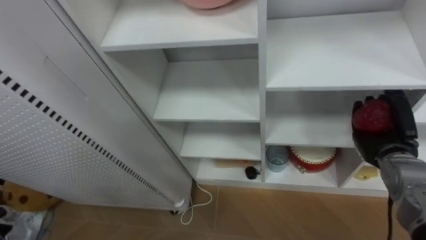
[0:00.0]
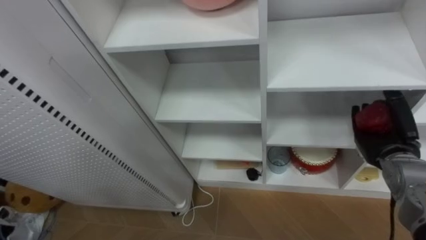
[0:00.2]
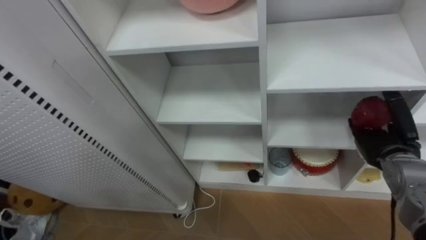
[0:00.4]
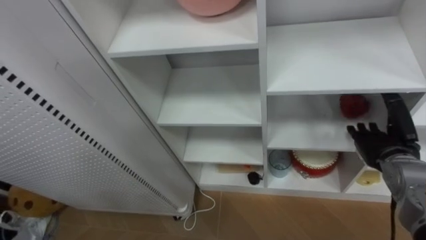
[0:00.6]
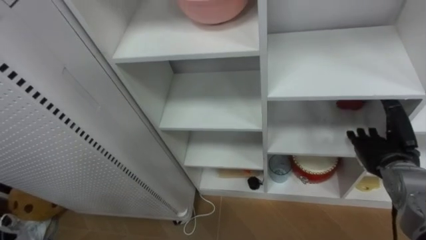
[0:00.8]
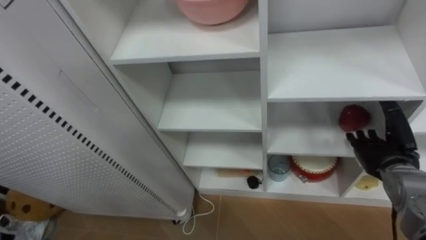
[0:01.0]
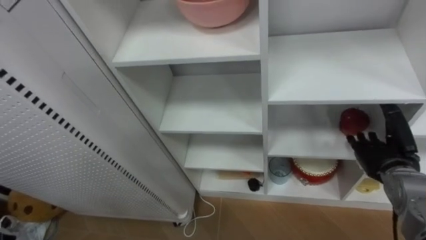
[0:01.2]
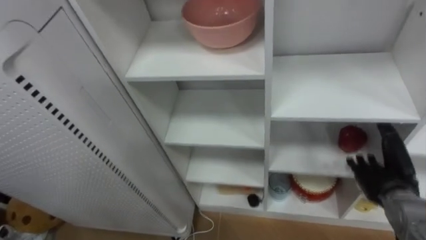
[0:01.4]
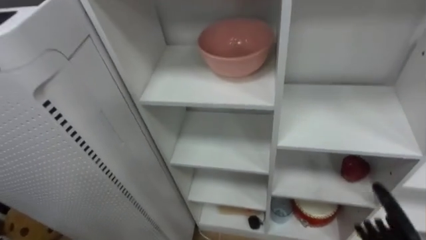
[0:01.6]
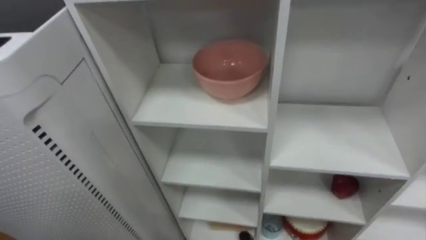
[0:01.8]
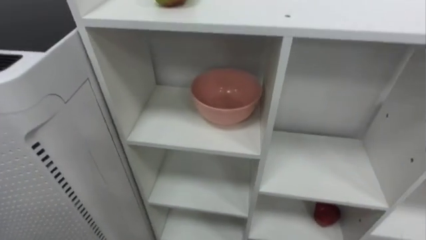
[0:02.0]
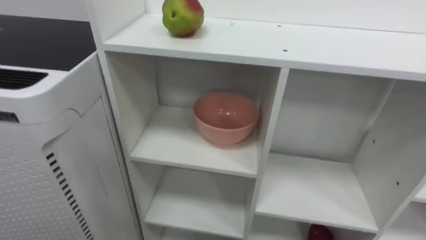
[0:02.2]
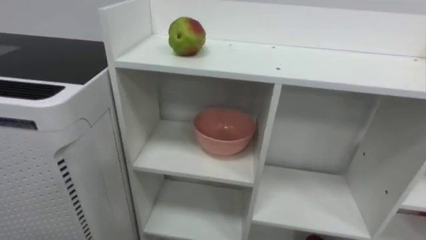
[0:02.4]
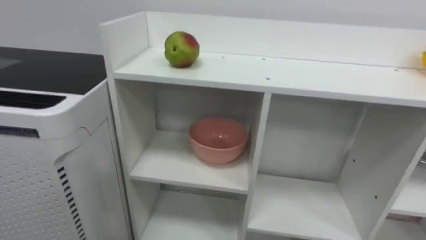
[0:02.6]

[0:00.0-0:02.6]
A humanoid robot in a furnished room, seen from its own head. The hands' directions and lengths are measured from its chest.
Task of the whole recording: Put the apple in the cell in the second column from the left and the second row from the top.
0:00.0 to 0:01.2: The right hand opens.

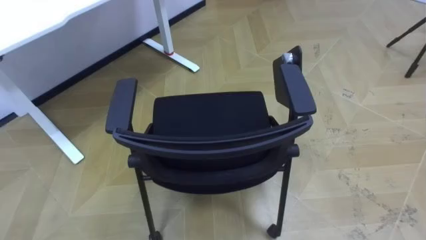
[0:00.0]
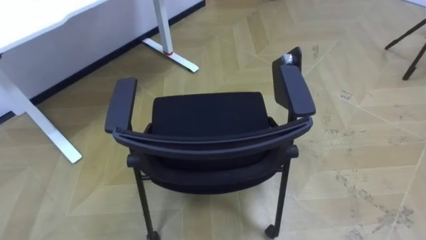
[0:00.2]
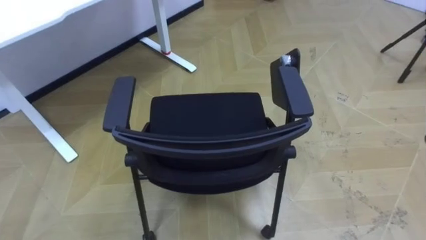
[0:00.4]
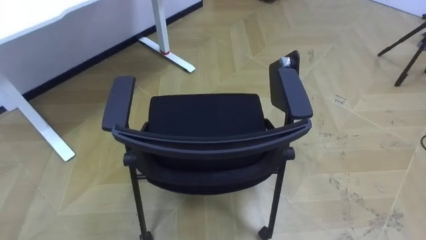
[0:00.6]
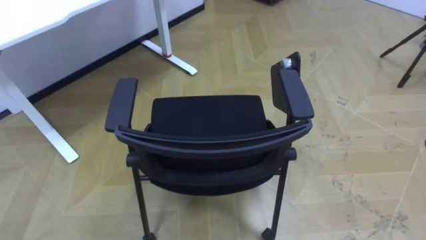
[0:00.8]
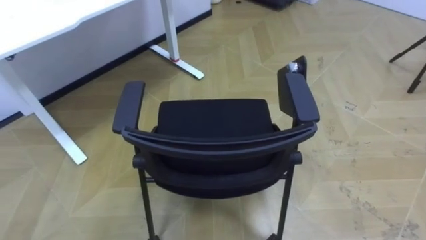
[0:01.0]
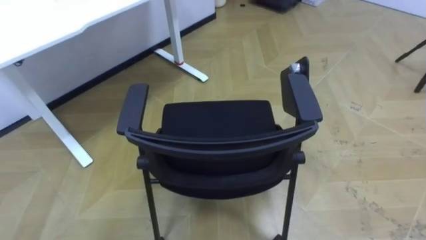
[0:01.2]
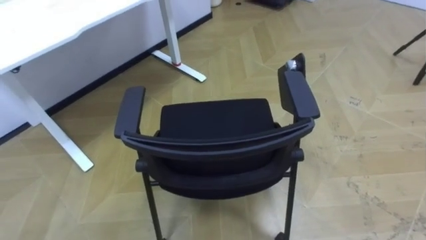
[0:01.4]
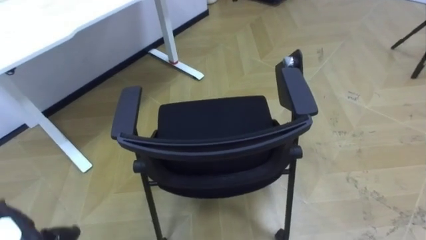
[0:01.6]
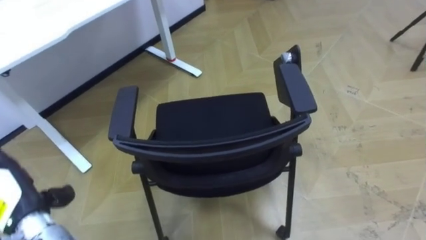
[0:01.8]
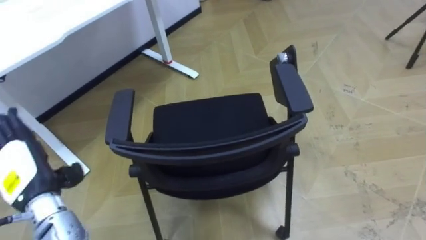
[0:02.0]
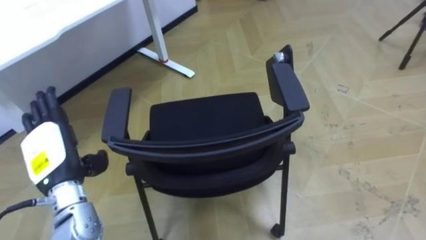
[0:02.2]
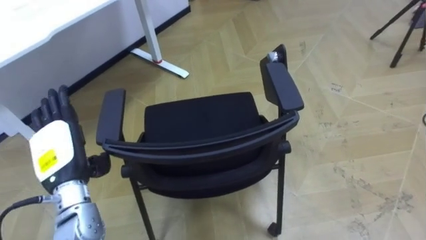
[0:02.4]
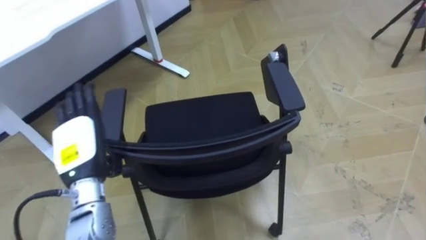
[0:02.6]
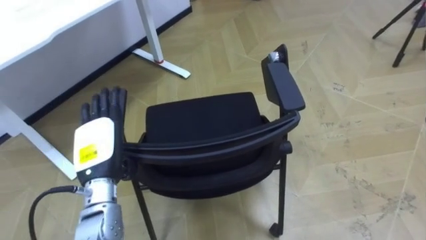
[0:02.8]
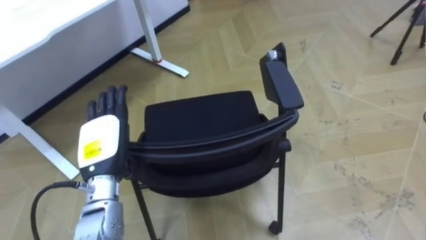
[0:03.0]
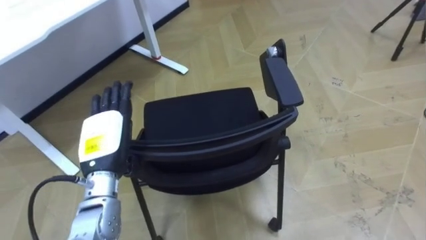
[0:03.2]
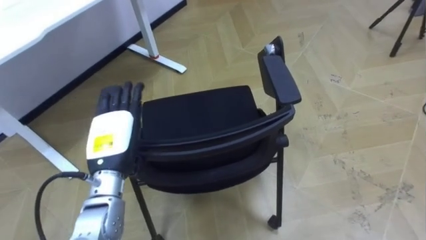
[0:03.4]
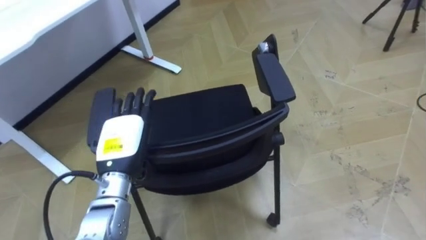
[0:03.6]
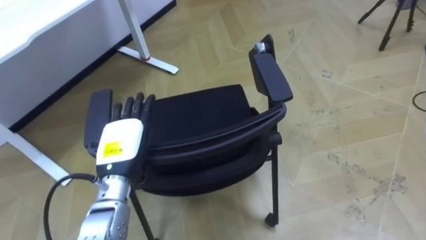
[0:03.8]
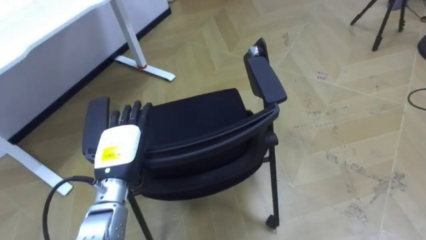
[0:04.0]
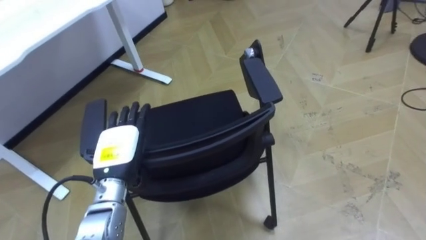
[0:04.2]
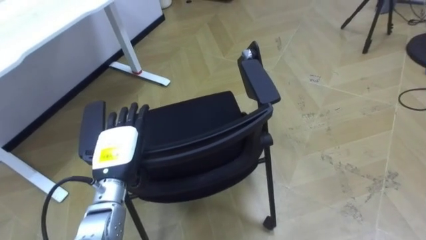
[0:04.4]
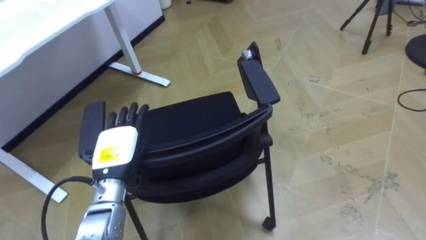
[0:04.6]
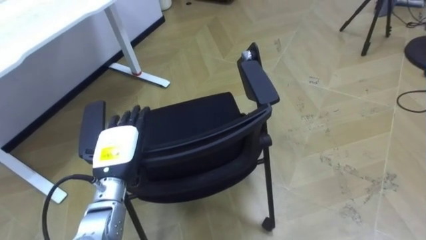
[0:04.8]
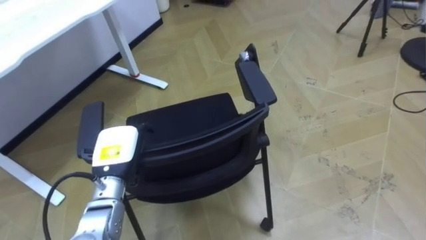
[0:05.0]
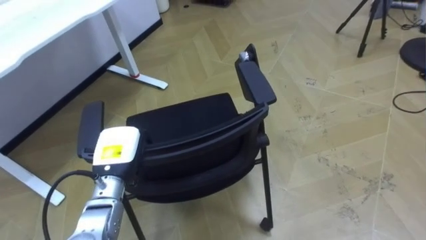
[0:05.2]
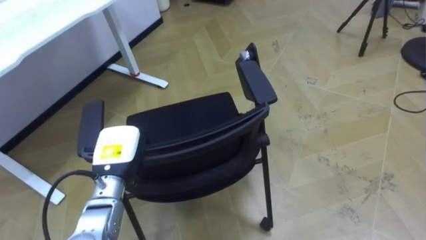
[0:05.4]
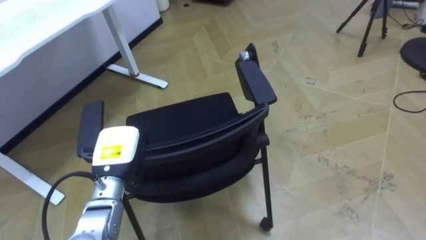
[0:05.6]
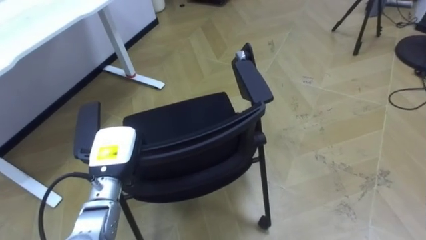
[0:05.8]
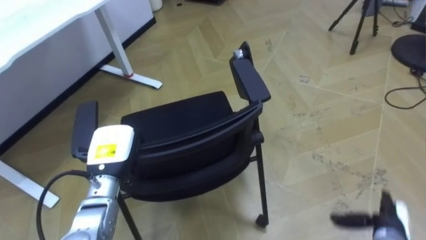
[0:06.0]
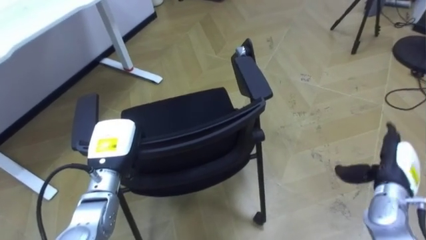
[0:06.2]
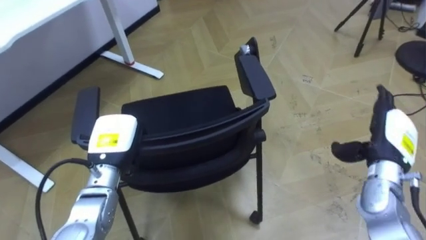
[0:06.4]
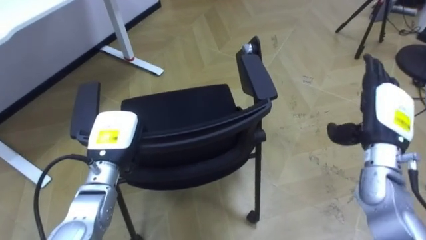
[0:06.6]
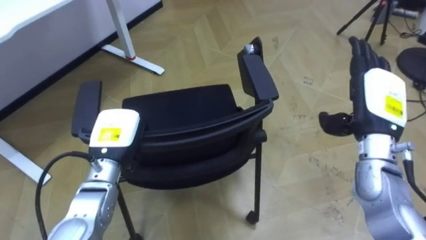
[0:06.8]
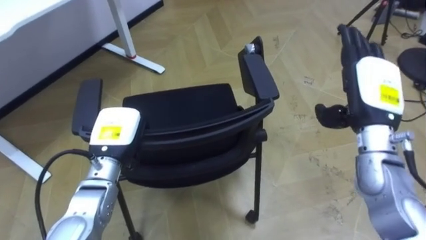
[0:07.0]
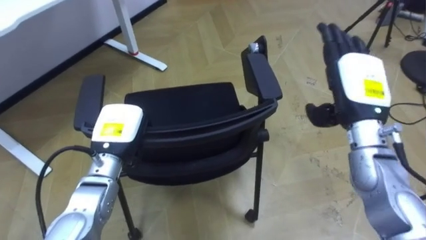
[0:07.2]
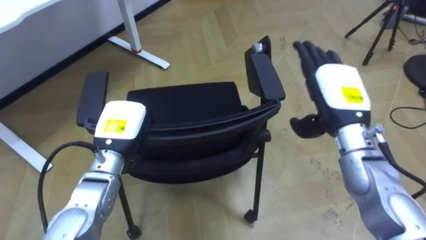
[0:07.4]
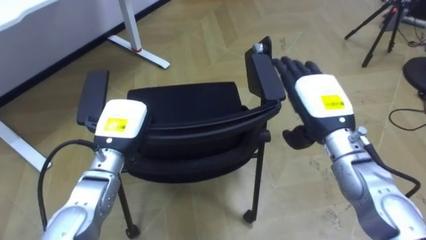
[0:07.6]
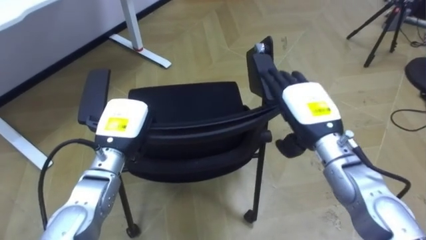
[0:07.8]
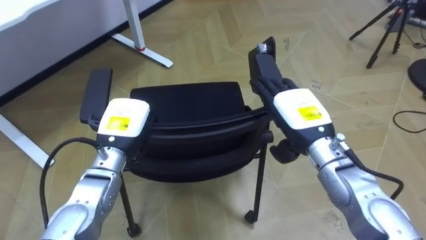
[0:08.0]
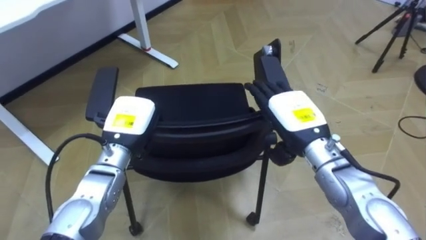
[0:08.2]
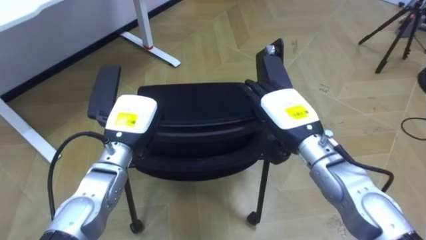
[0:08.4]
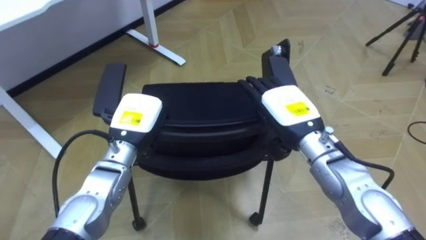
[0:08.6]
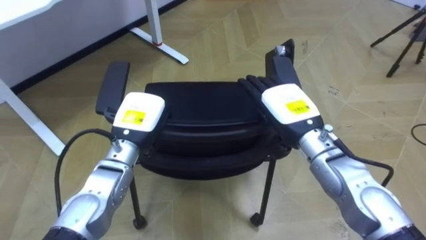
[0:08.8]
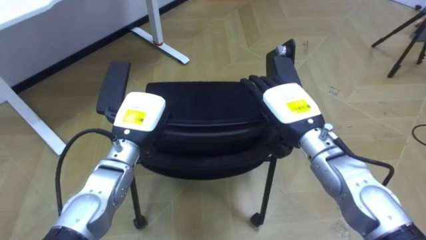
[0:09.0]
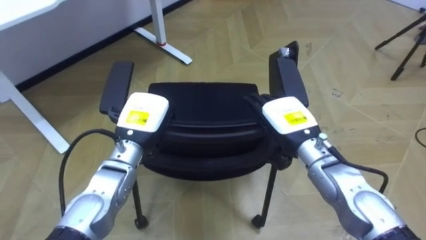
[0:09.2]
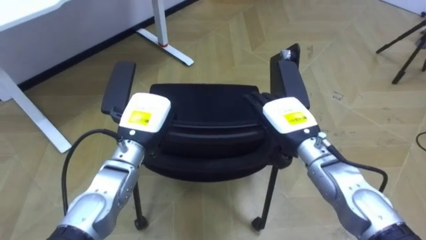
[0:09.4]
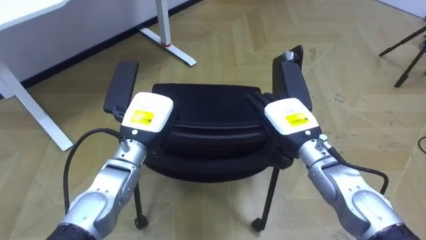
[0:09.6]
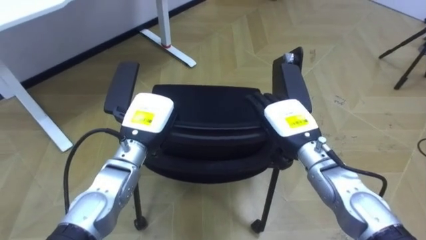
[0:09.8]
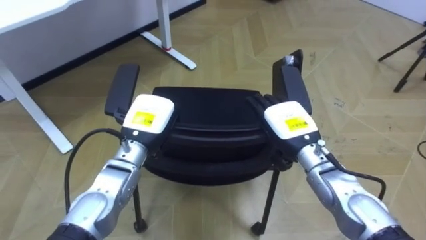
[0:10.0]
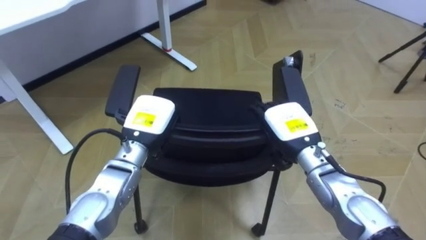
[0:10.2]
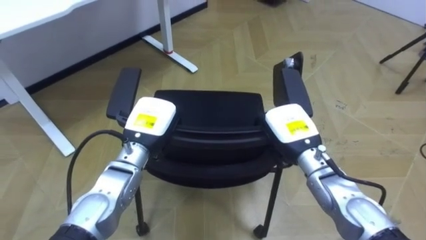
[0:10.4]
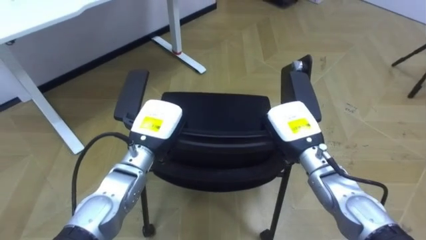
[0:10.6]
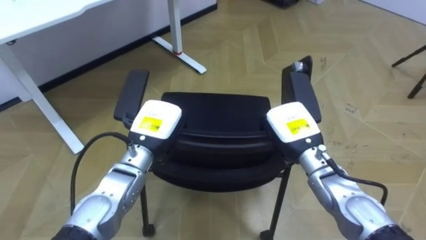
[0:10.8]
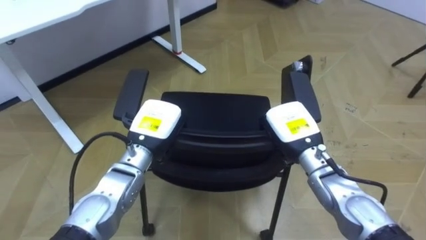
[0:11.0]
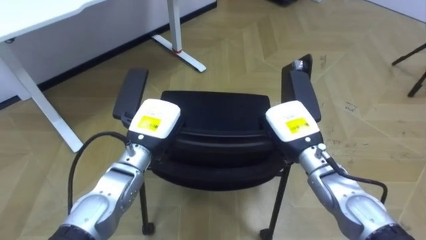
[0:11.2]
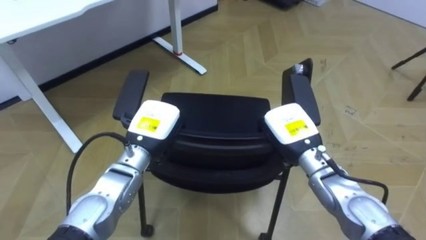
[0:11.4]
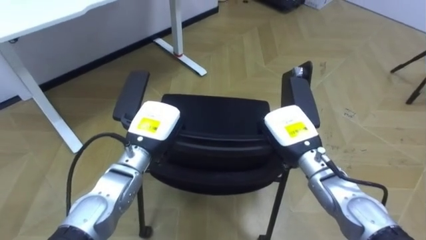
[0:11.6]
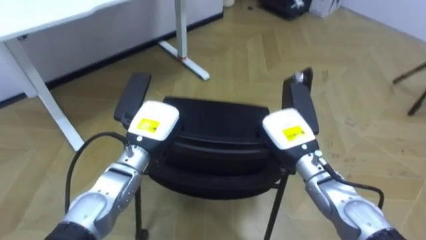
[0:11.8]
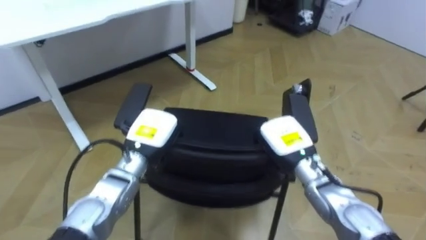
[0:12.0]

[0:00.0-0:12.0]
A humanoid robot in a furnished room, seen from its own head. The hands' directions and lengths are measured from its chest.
Task of the whole recording: Push the chair under the table.
0:04.4 to 0:06.0: The left hand closes.
0:06.0 to 0:07.6: The right hand moves upward, to the left and forward, some 30 cm; the left hand shifts by about 5 cm.
0:07.6 to 0:09.0: The right hand moves about 5 cm.
0:09.0 to 0:10.4: The right hand shifts approximately 5 cm downward, and closes its fingers.

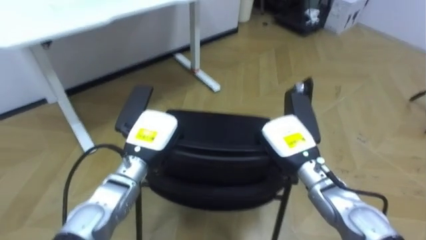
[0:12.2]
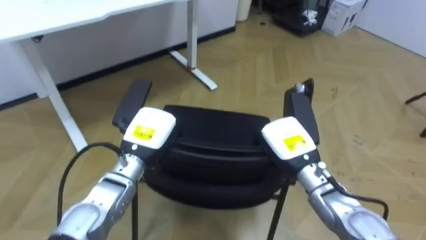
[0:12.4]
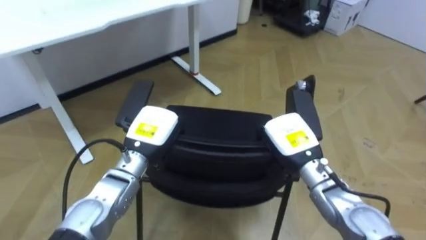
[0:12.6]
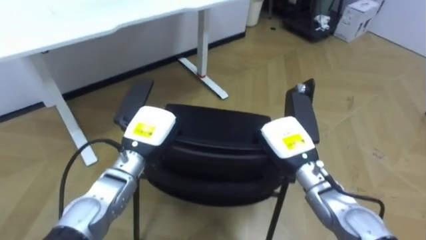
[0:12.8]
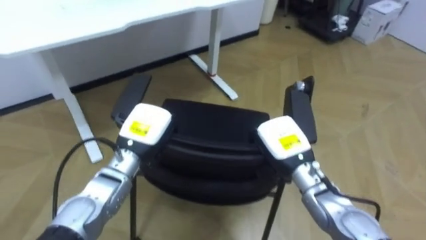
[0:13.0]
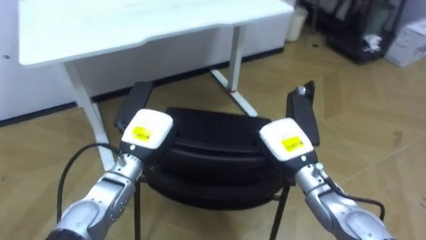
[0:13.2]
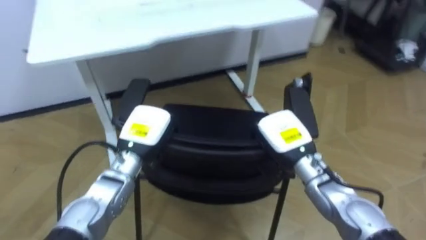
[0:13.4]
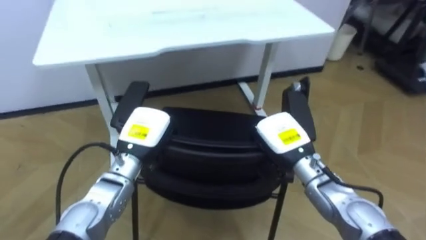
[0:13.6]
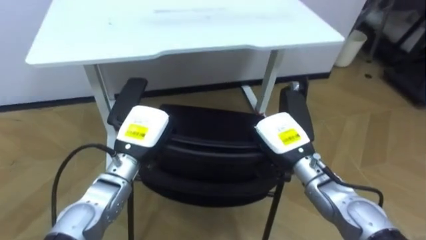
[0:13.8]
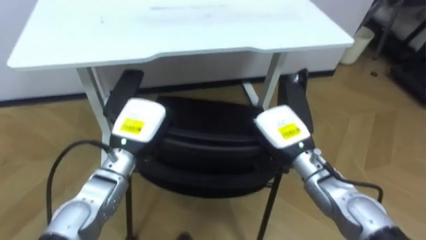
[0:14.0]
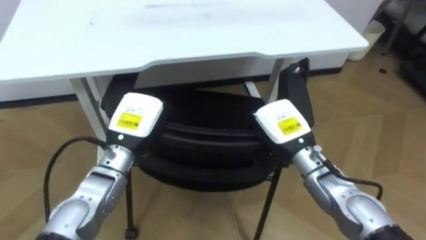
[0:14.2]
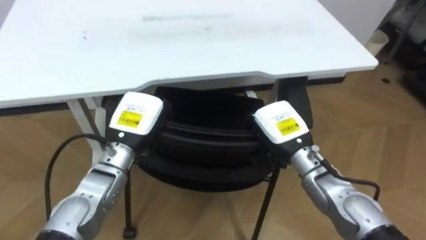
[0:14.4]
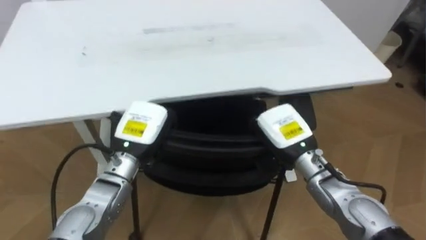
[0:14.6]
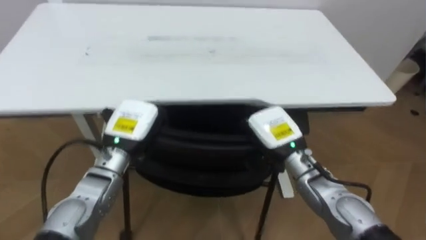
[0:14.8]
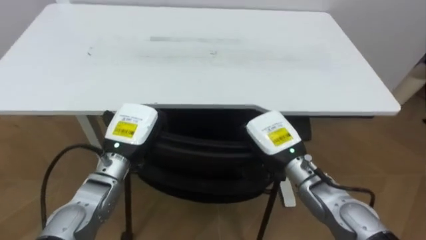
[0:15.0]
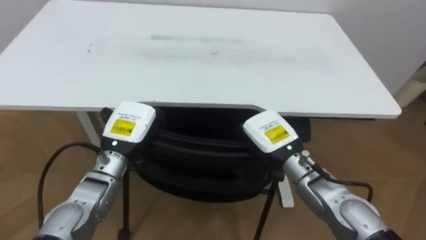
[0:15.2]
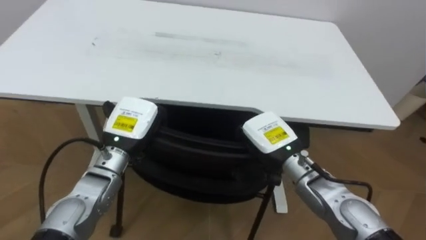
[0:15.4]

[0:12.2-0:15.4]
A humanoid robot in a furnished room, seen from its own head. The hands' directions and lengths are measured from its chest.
Task of the whole recording: Push the chair under the table.
0:12.2 to 0:13.8: The robot rotates approximately 20 degrees to its left.
0:13.8 to 0:15.4: The robot turns to its left by some 20 degrees.
